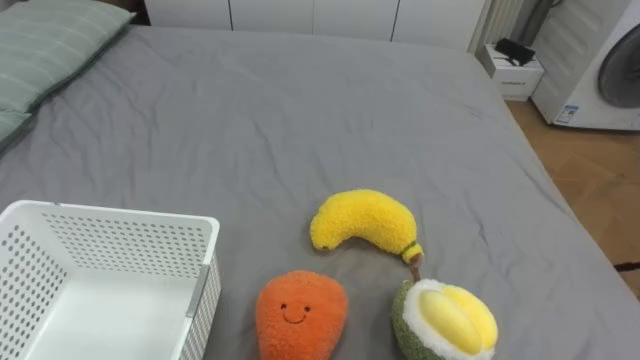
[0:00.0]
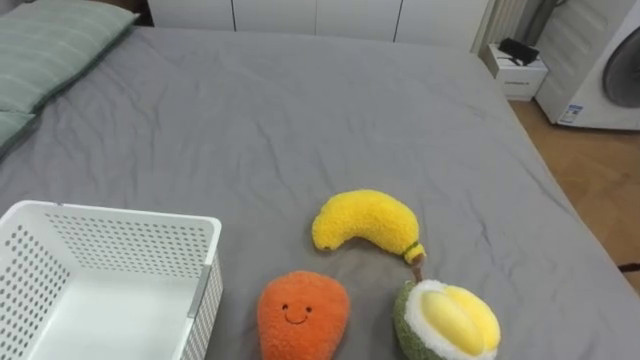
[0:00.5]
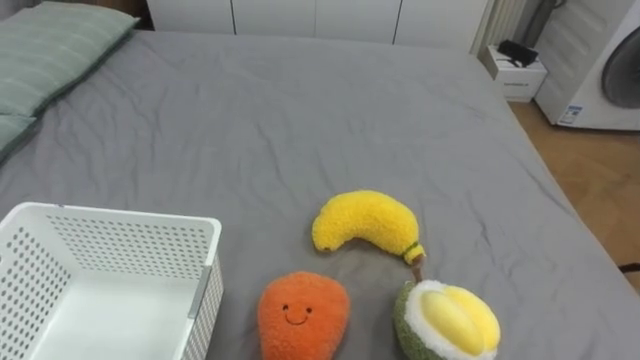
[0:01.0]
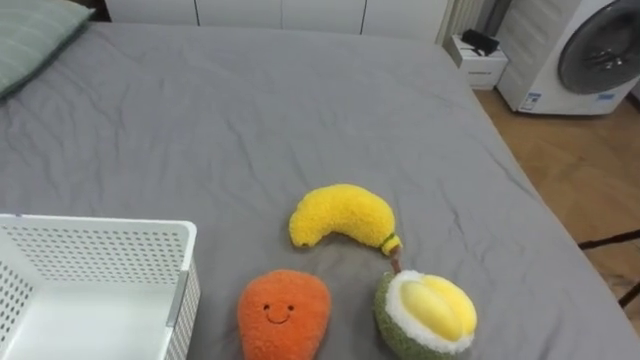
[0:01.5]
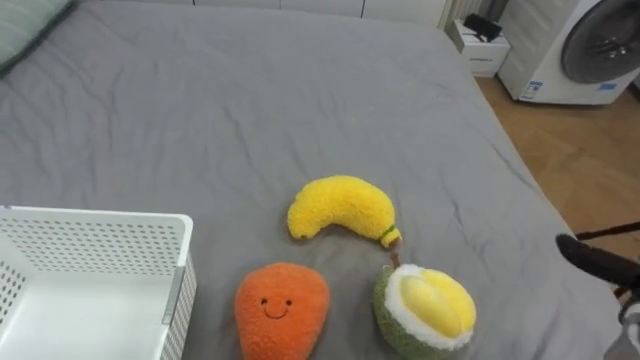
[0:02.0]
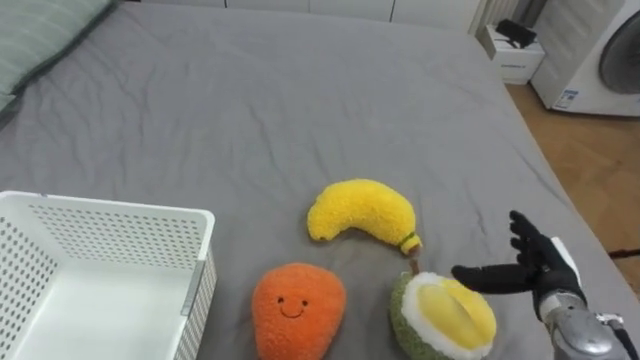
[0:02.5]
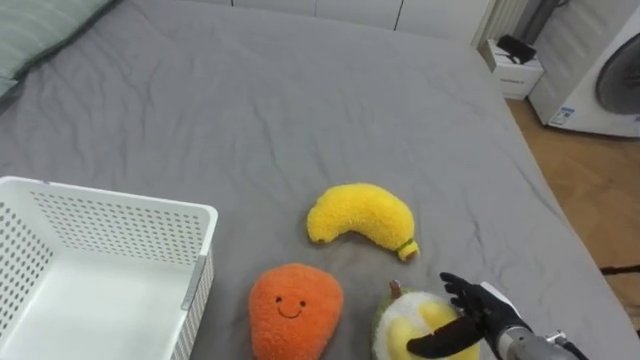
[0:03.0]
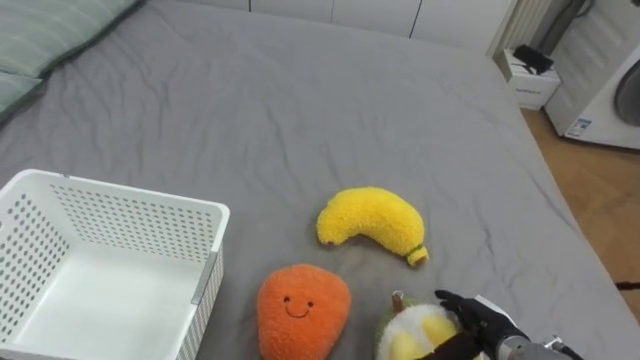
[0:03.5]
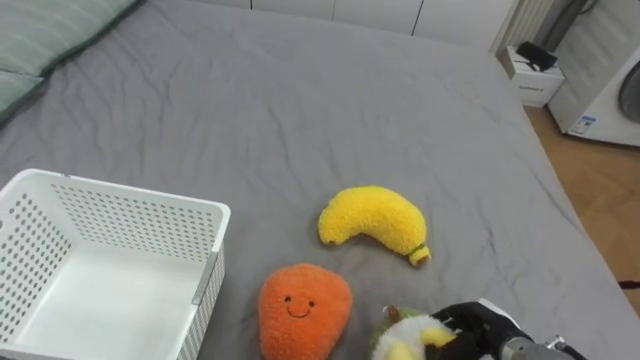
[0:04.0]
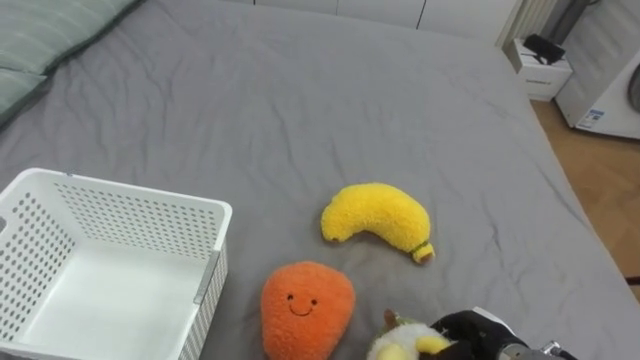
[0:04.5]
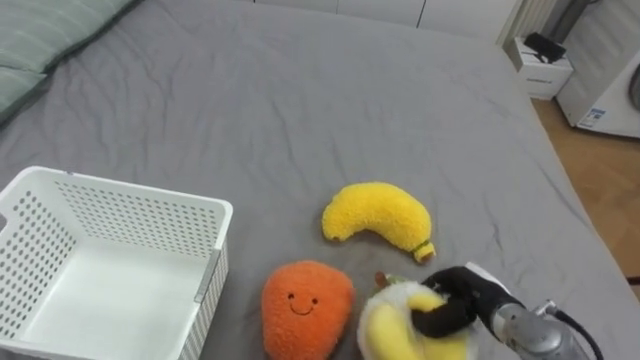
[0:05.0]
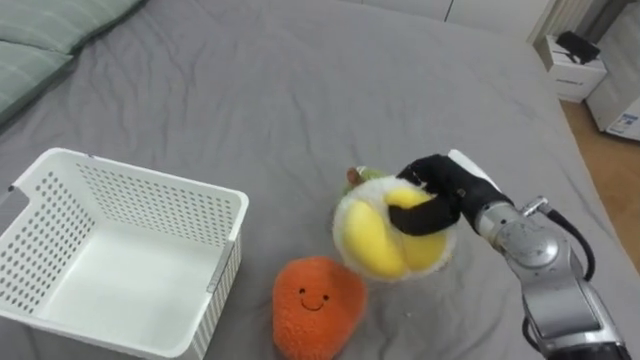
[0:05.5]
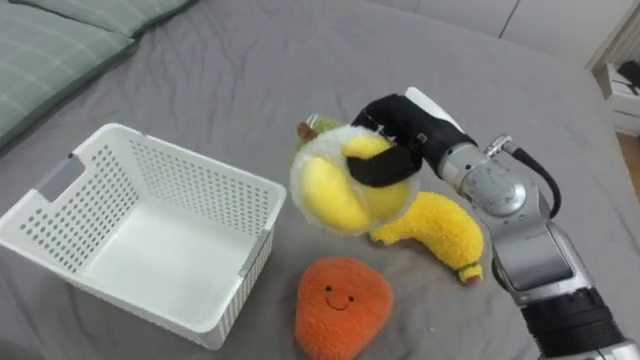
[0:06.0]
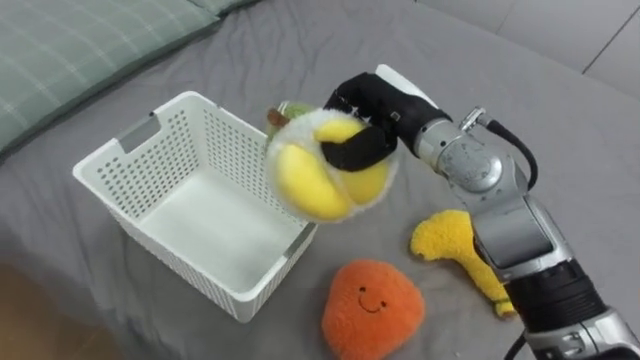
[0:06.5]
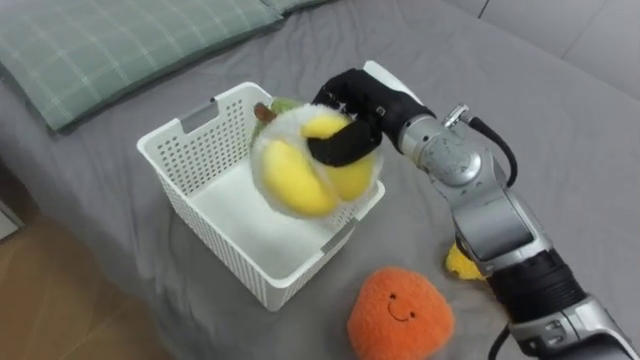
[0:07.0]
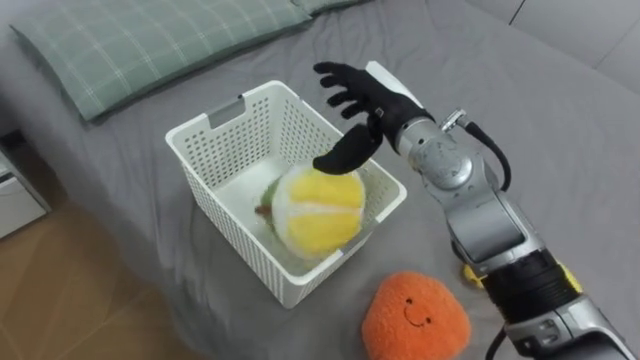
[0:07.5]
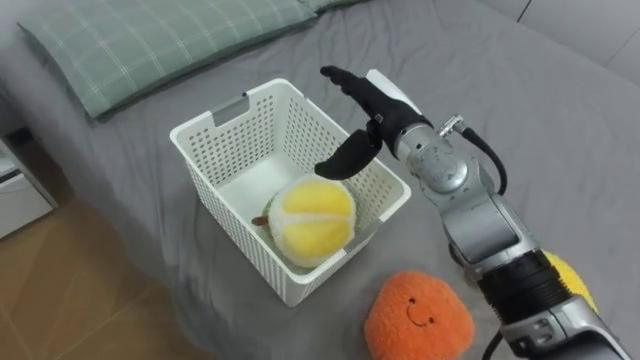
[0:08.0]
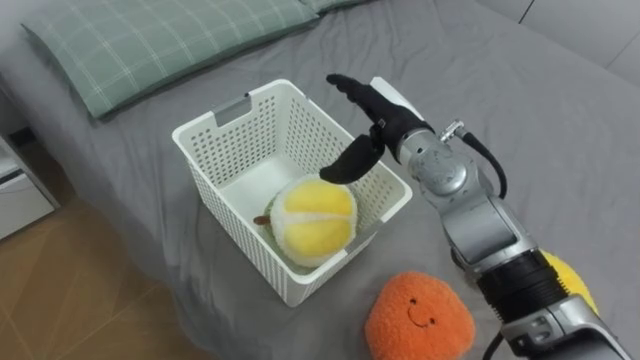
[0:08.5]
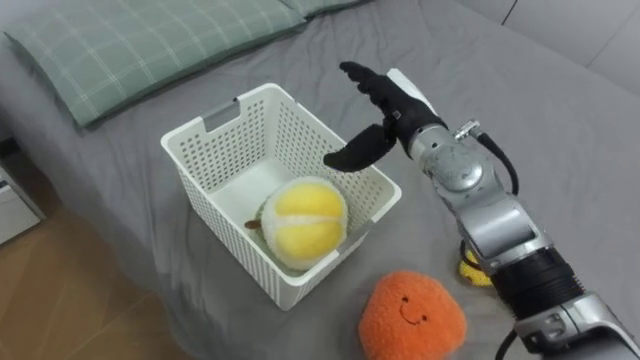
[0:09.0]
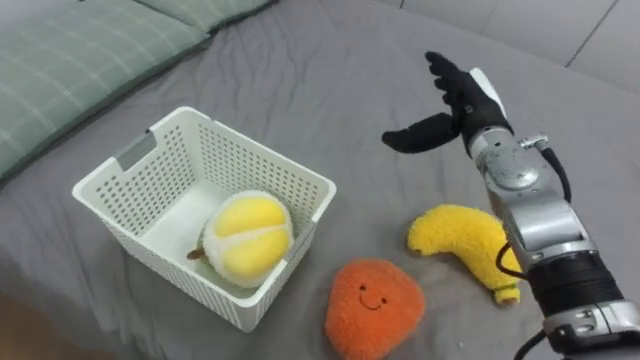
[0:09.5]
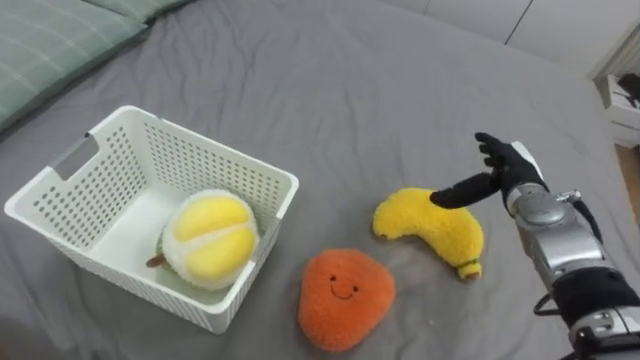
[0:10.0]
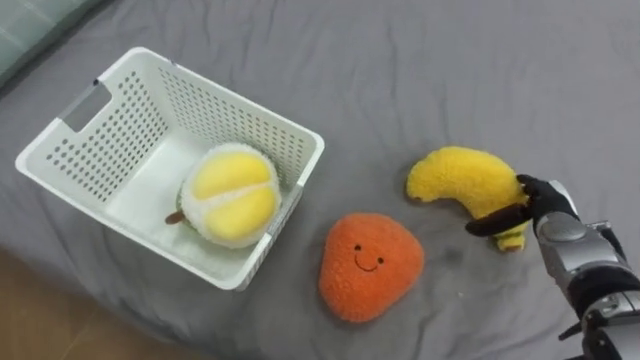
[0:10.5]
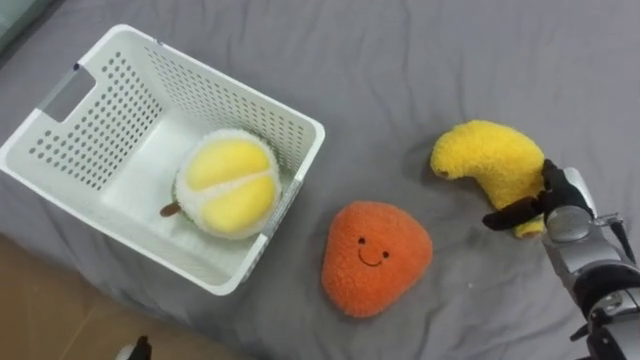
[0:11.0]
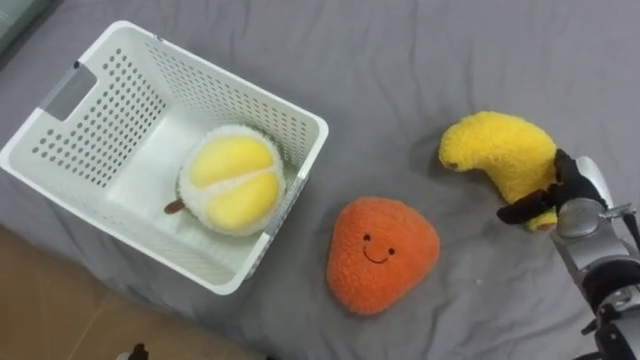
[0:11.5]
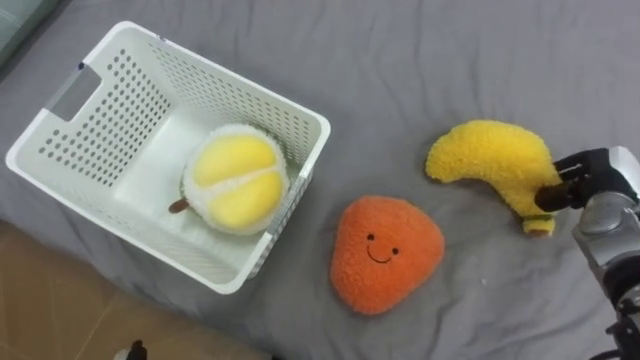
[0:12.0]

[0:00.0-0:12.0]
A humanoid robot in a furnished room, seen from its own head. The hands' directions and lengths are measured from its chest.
Task of the whole recording: Put the toys on the bed into the basket on the left.
0:04.0 to 0:06.0: The right hand is displaced upward, forward and to the left by roughly 30 cm.
0:06.0 to 0:08.0: The right hand travels to the left by roughly 5 cm, and opens up.
0:08.0 to 0:10.0: The right hand shifts roughly 20 cm to the right and downward.
0:10.0 to 0:12.0: The right hand is displaced to the right by about 10 cm, and closes its fingers.

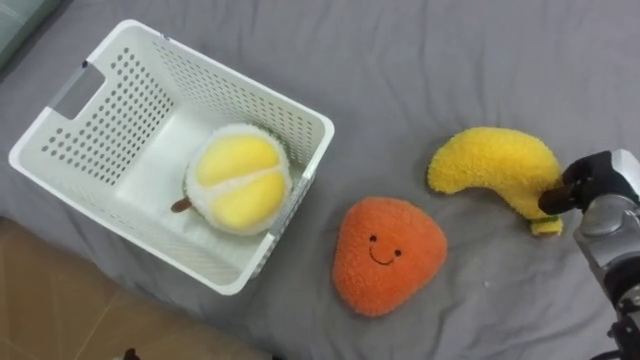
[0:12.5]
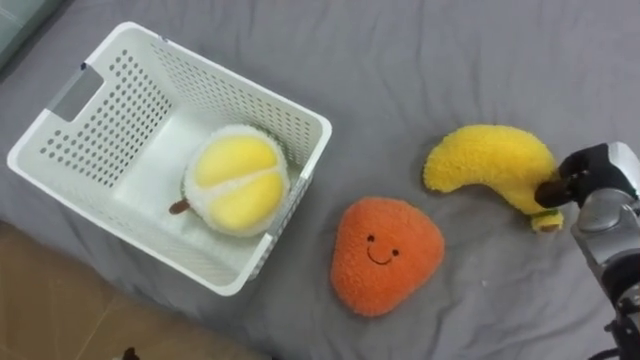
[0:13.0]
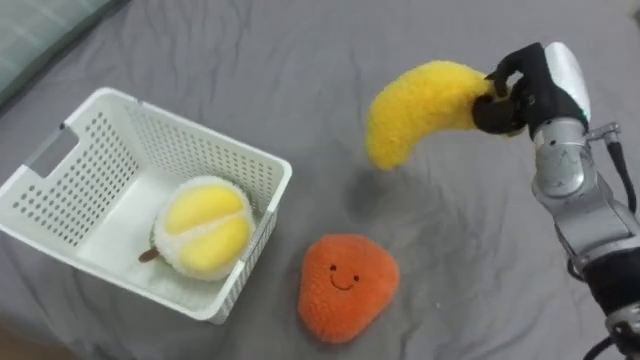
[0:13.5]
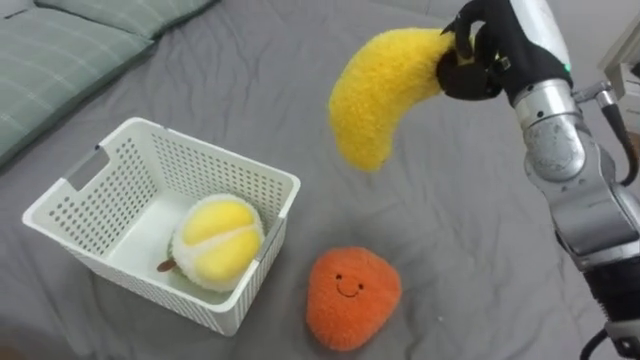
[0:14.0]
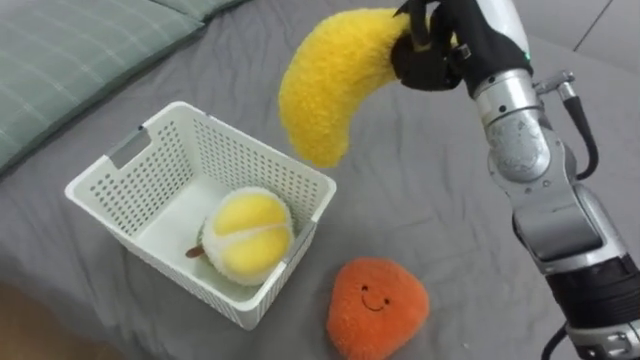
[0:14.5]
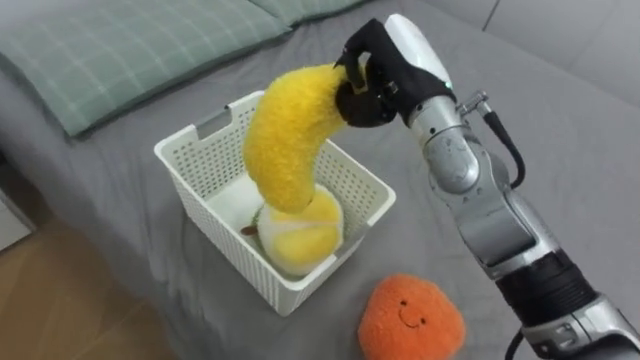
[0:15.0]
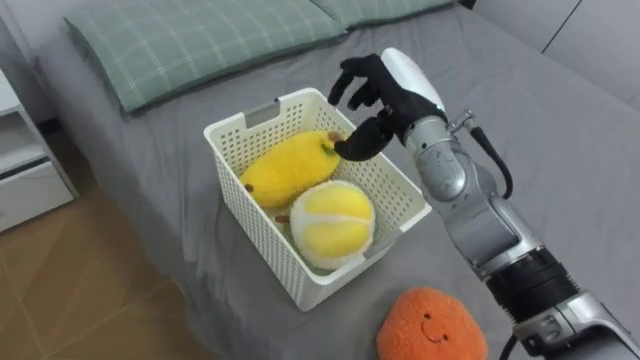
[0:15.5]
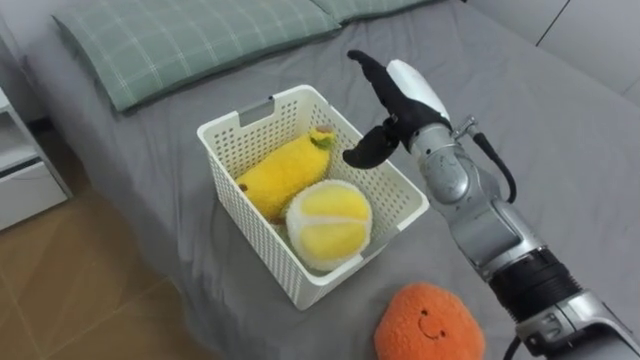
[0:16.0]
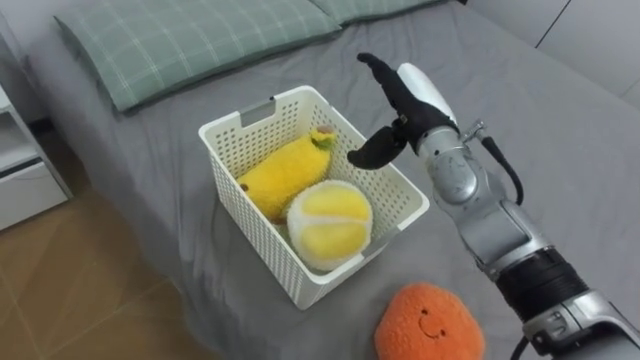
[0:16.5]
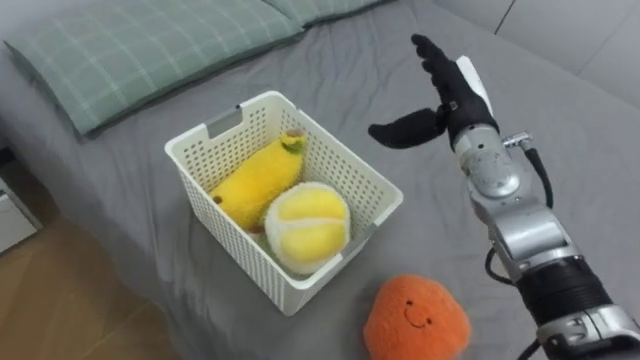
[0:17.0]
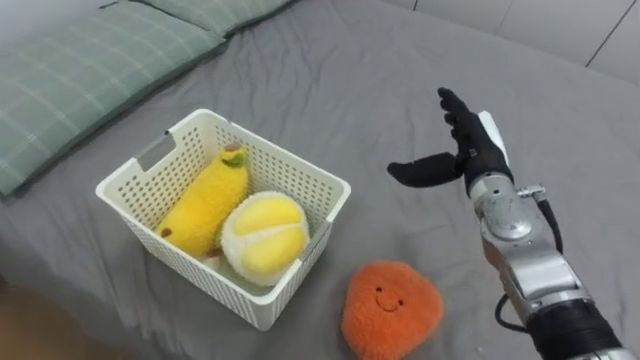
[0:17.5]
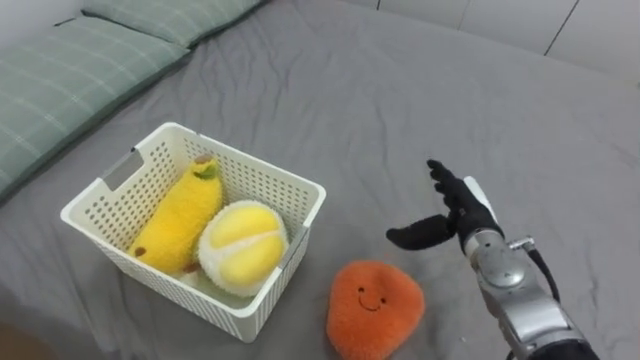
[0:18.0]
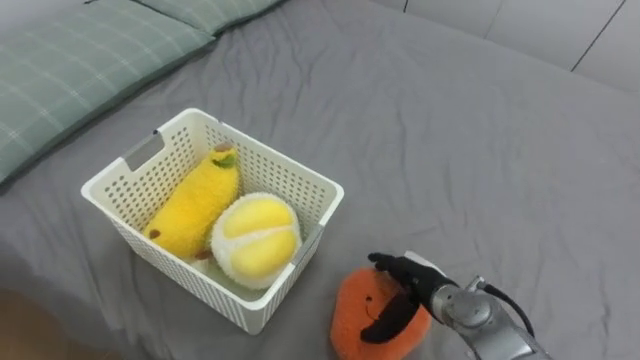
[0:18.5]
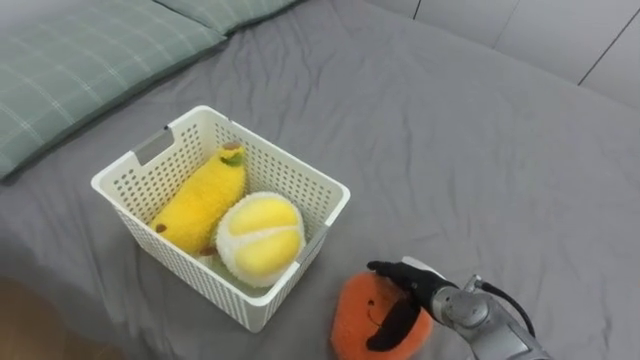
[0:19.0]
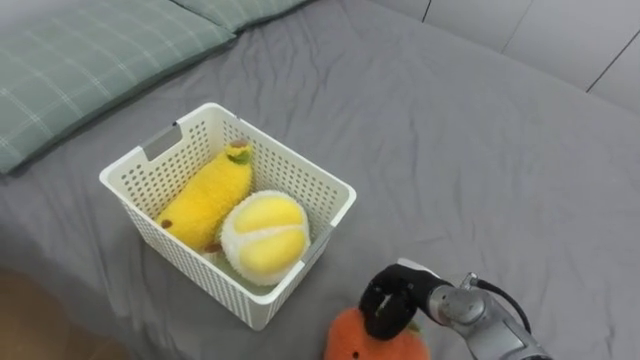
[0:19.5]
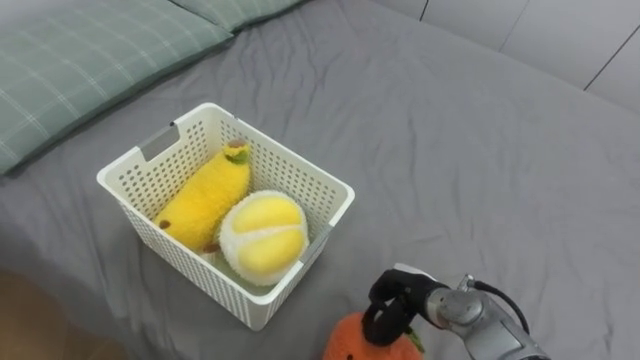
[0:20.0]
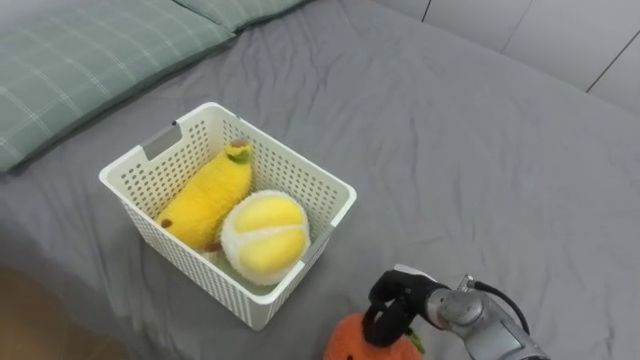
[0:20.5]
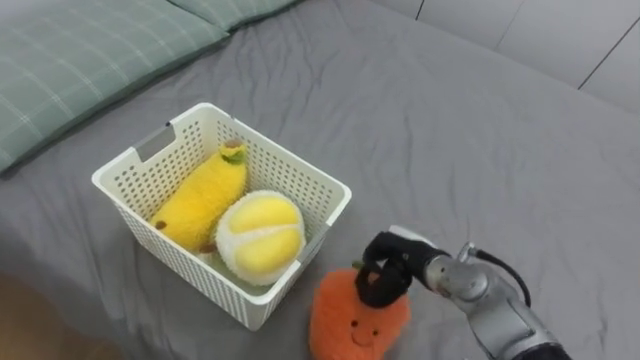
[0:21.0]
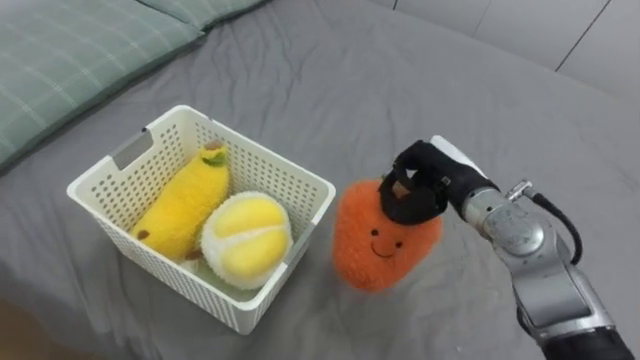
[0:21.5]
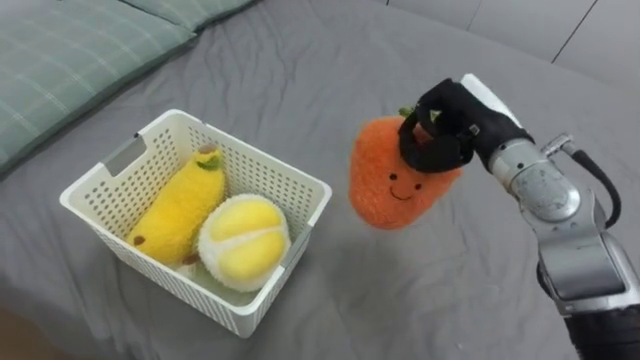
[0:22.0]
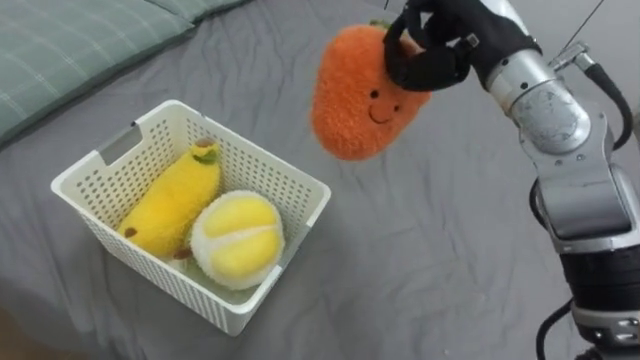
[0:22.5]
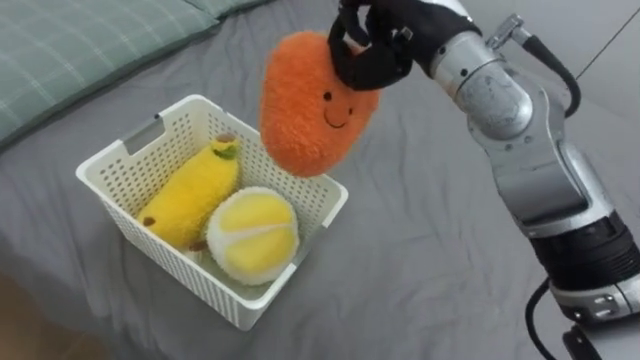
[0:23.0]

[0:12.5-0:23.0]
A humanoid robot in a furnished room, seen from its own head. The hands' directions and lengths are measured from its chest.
Task of the whole recording: Put the toys on the bed into the basket on the left.
0:12.5 to 0:14.5: The right hand goes approximately 30 cm to the left and upward.
0:14.5 to 0:16.5: The right hand moves downward, some 10 cm, and opens.
0:16.5 to 0:19.0: The right hand heads downward and backward, covering about 25 cm.
0:19.0 to 0:21.0: The right hand closes.
0:21.0 to 0:23.0: The right hand shifts about 30 cm upward.
